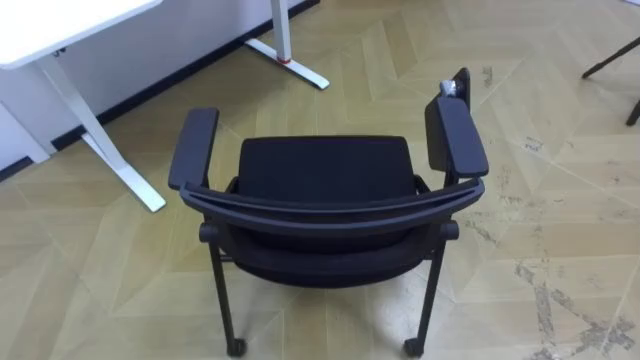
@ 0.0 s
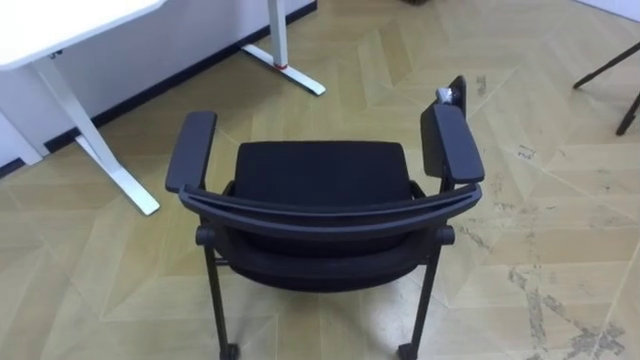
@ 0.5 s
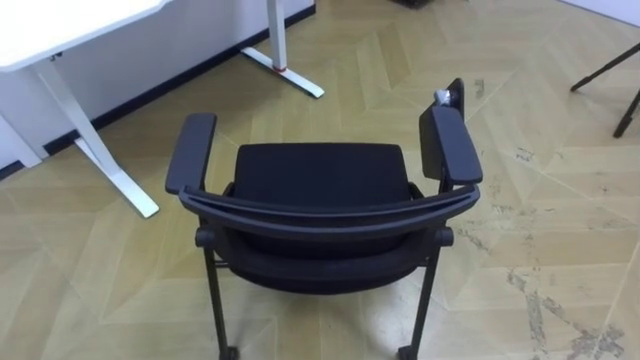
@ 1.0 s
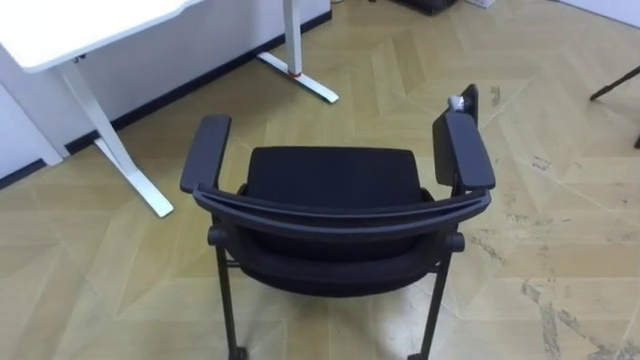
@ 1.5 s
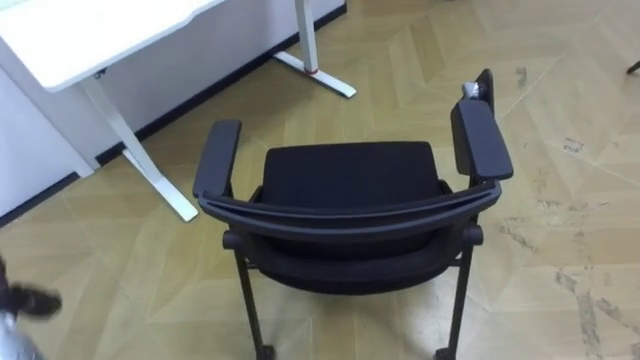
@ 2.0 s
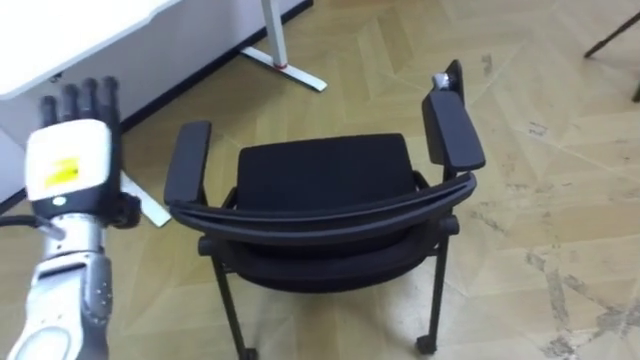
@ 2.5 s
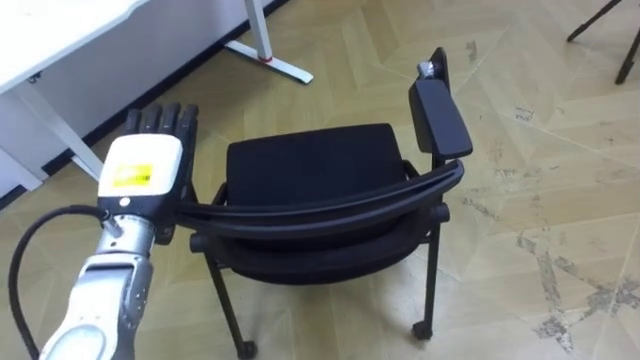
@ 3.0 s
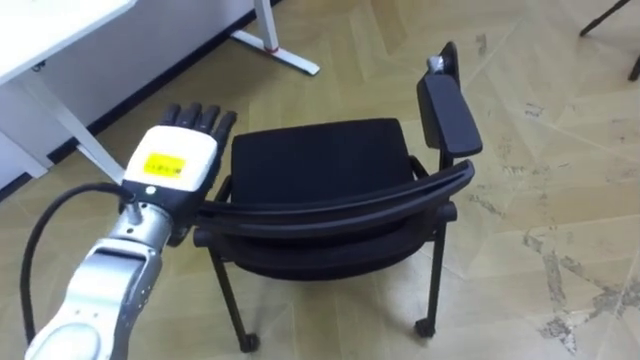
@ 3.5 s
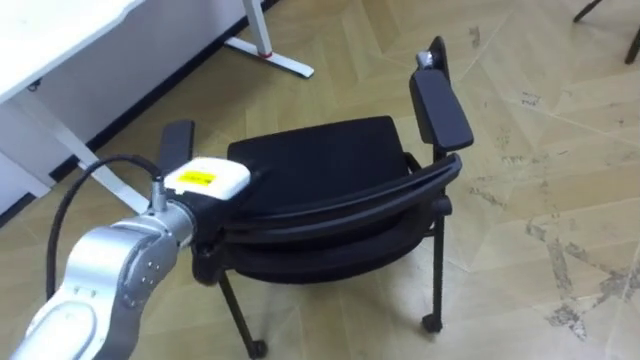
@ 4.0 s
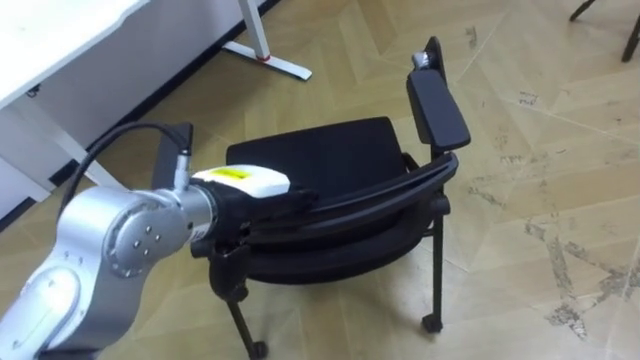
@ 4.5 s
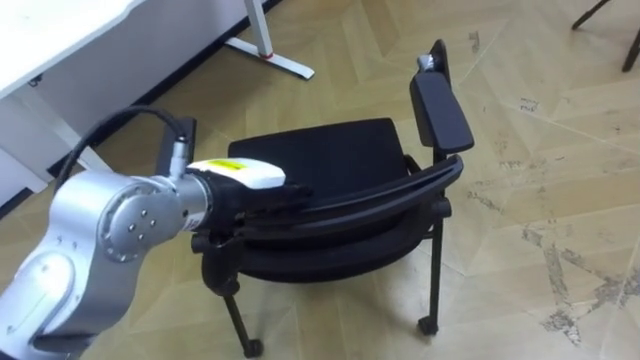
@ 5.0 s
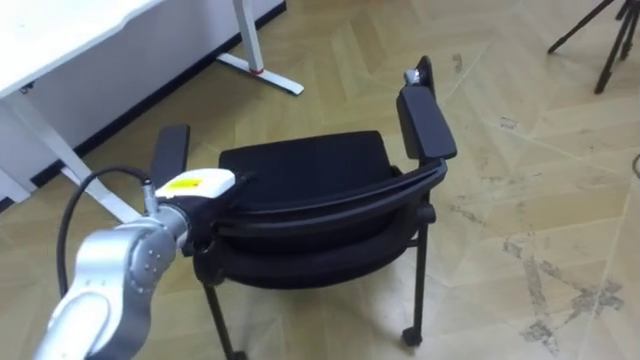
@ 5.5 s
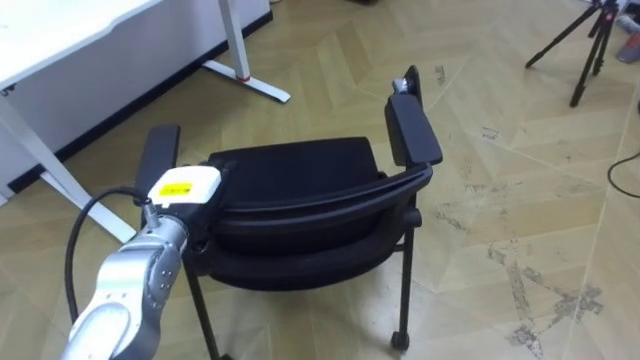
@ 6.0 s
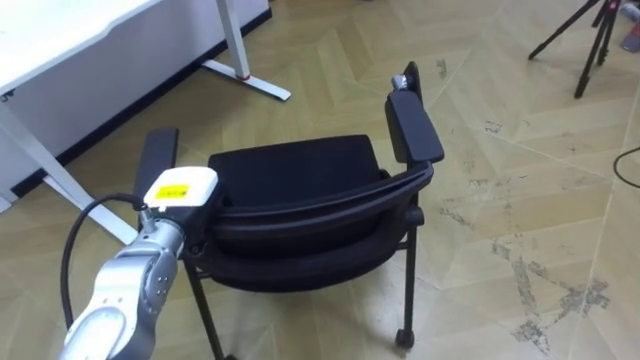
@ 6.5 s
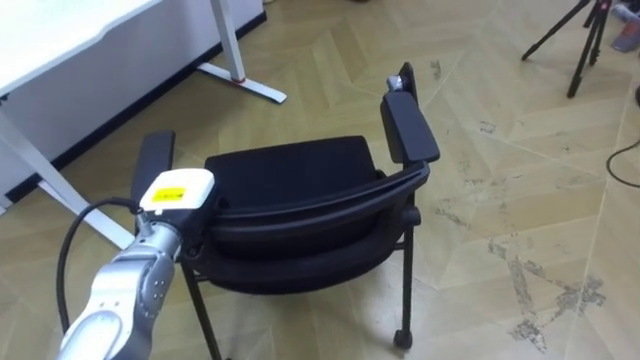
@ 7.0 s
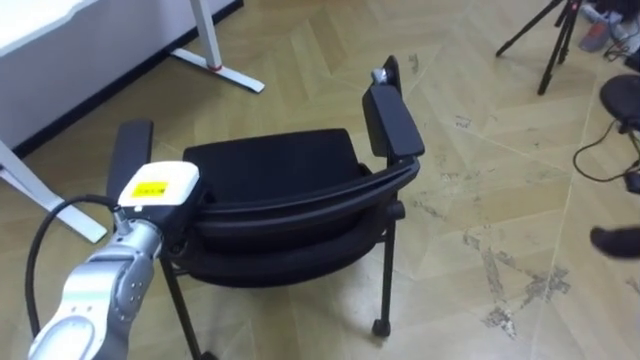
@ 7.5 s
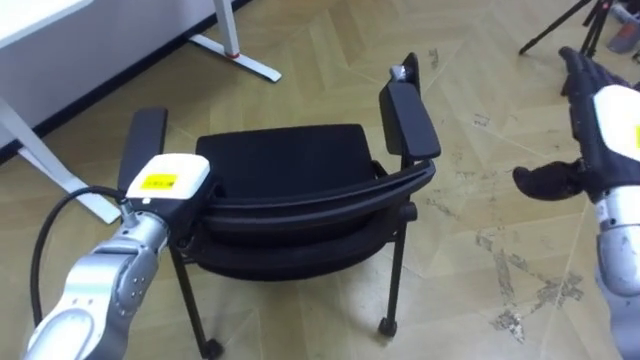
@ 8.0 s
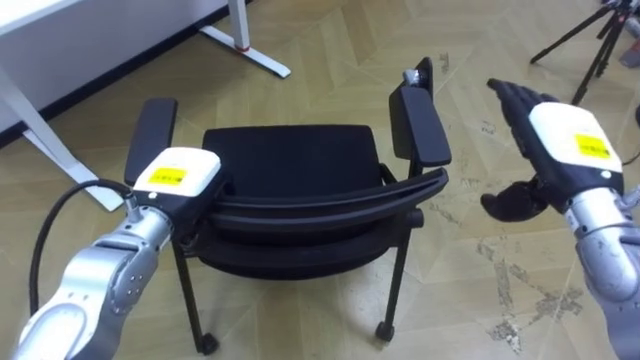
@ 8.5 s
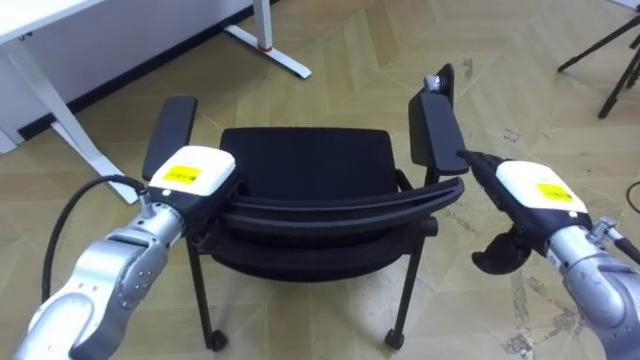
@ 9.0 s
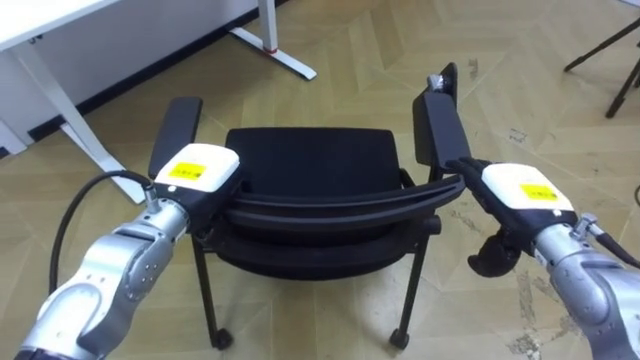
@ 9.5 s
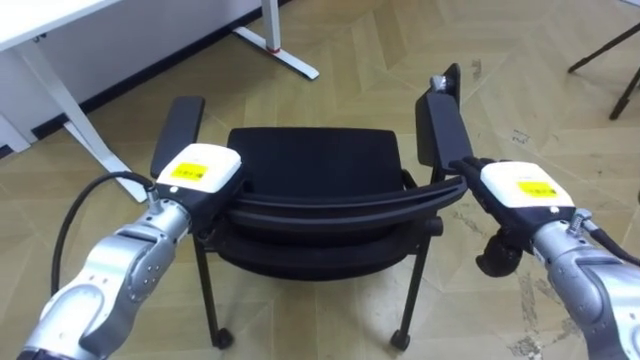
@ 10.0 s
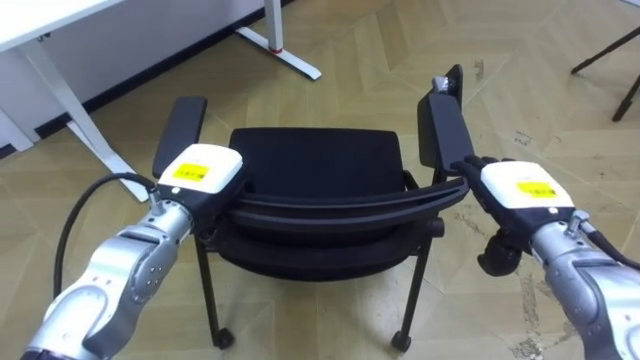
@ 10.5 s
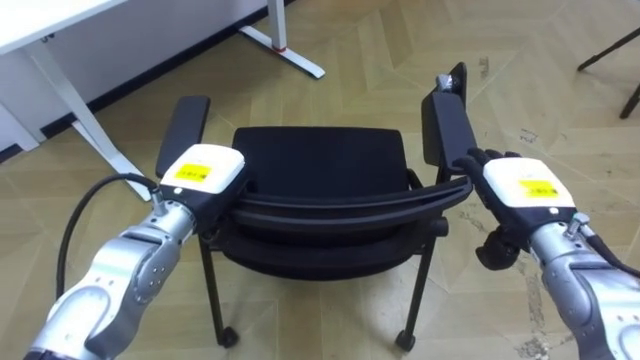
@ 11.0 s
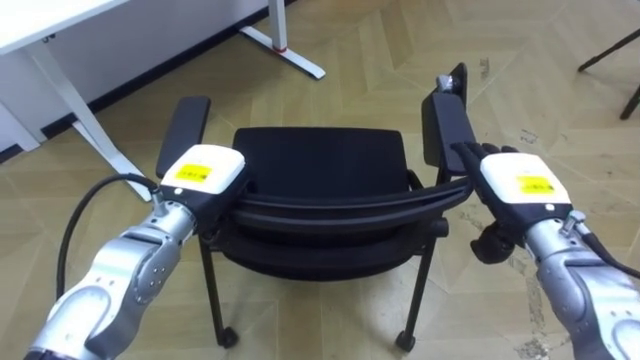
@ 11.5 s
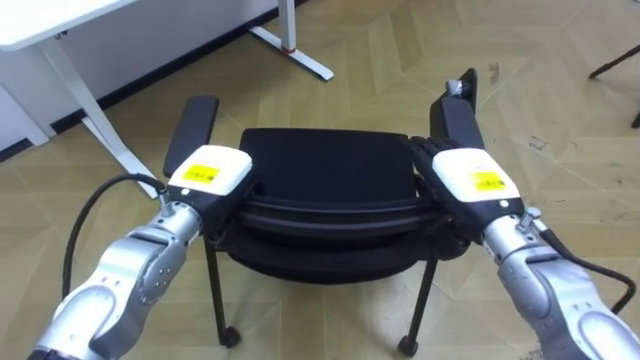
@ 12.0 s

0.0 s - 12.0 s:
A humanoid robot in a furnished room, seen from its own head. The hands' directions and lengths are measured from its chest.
Task of the whole recording: Push the chair under the table.
4.0 s - 6.0 s: The left hand is displaced downward by about 5 cm.
6.0 s - 8.0 s: The left hand closes its fingers.
8.0 s - 10.0 s: The right hand shifts some 10 cm downward and to the left.
10.0 s - 12.0 s: The right hand heads to the left, covering roughly 5 cm.

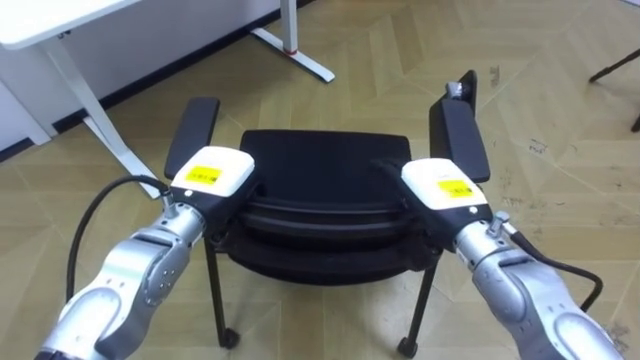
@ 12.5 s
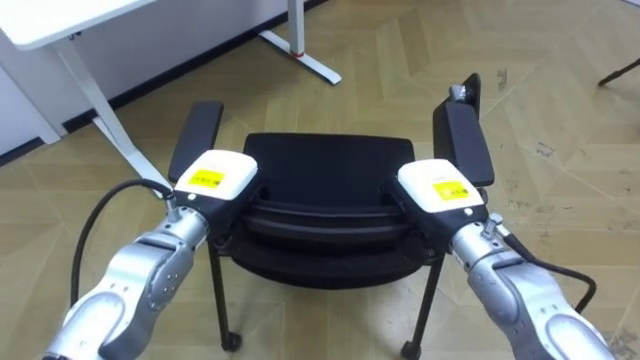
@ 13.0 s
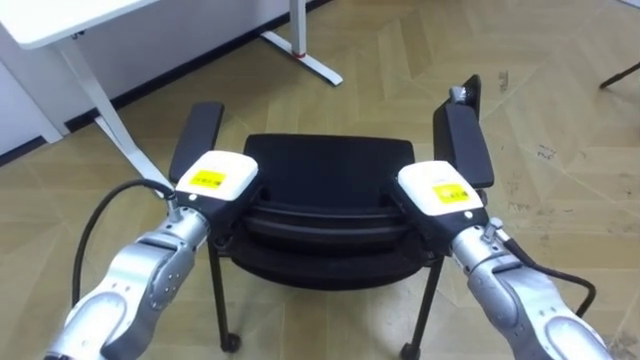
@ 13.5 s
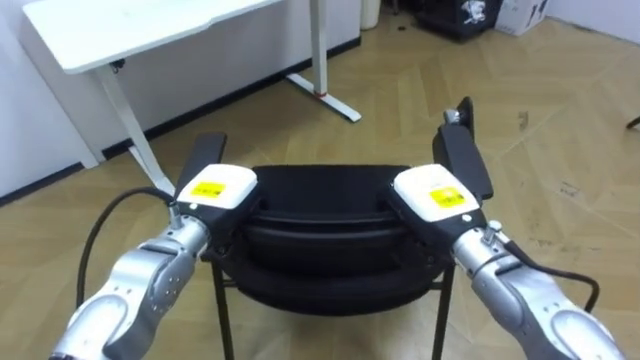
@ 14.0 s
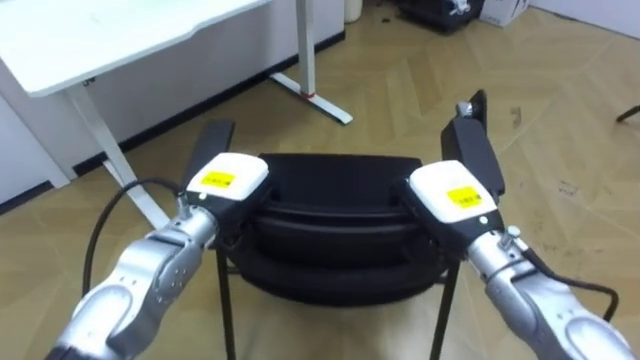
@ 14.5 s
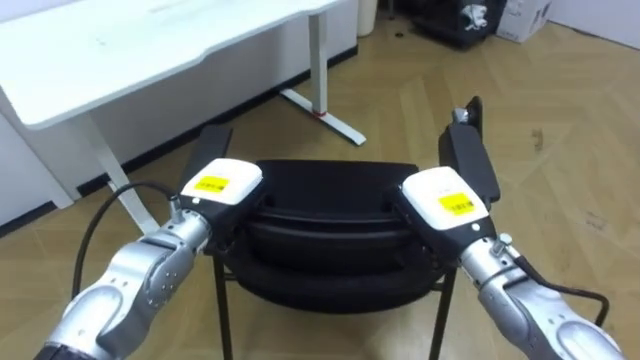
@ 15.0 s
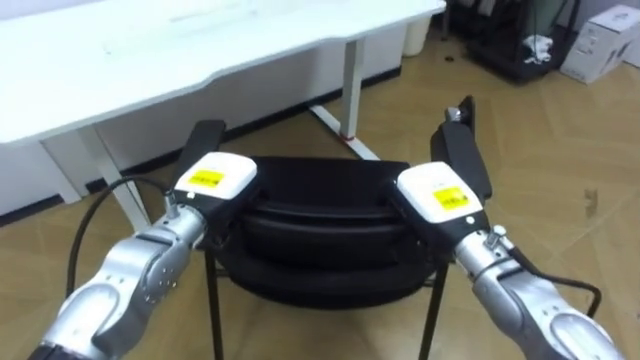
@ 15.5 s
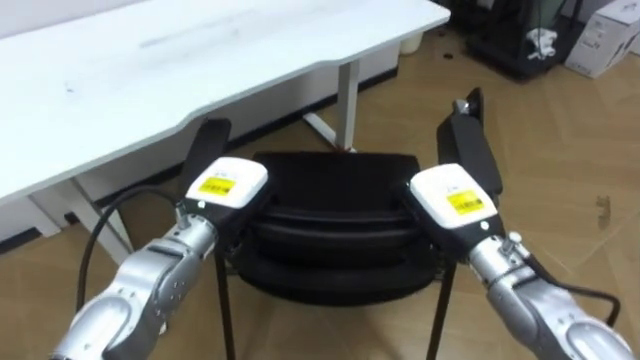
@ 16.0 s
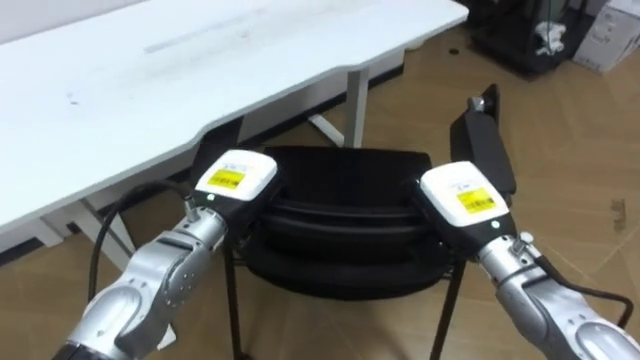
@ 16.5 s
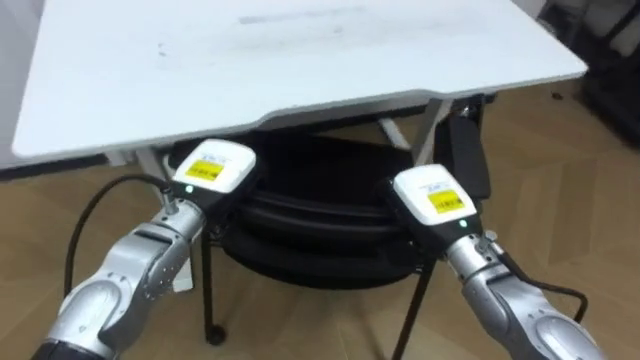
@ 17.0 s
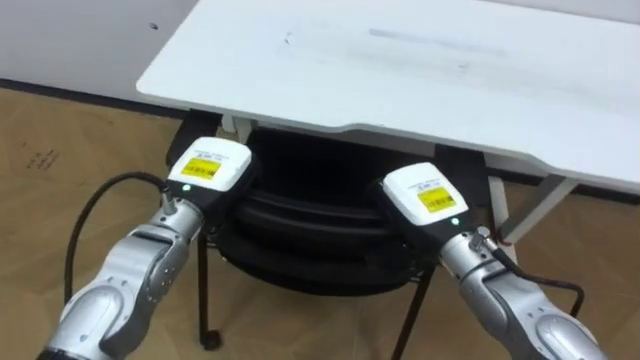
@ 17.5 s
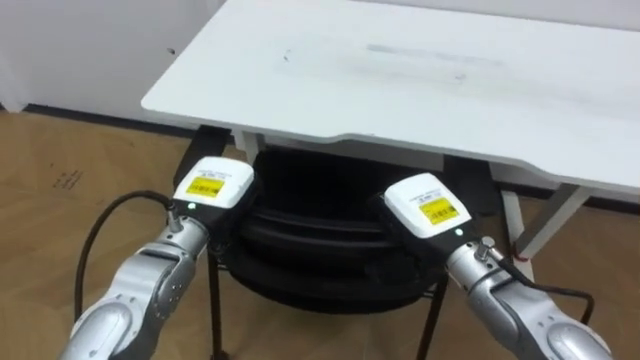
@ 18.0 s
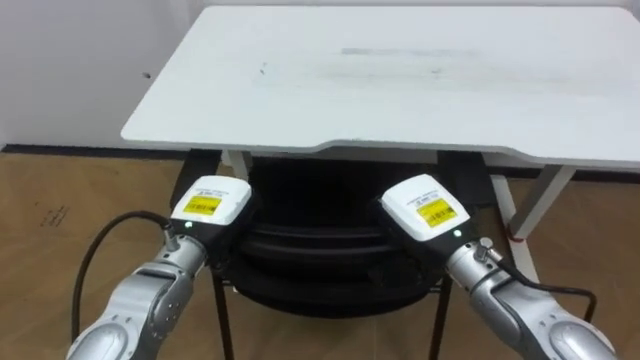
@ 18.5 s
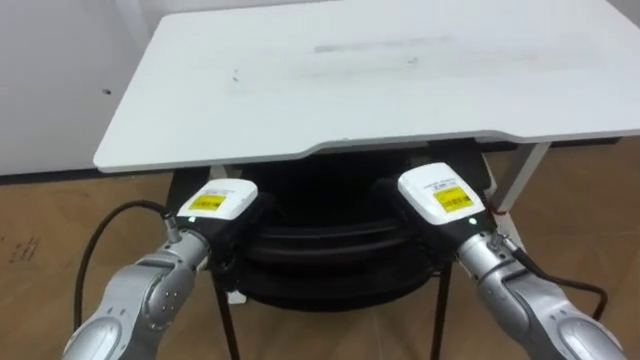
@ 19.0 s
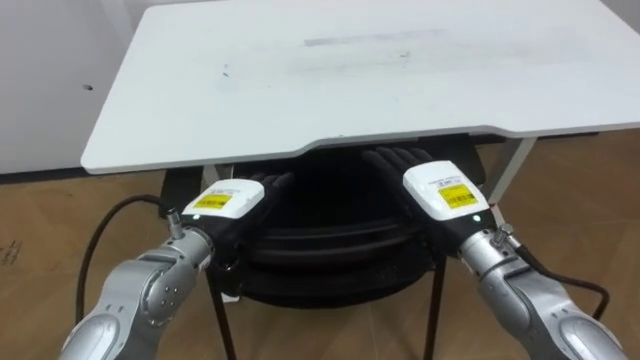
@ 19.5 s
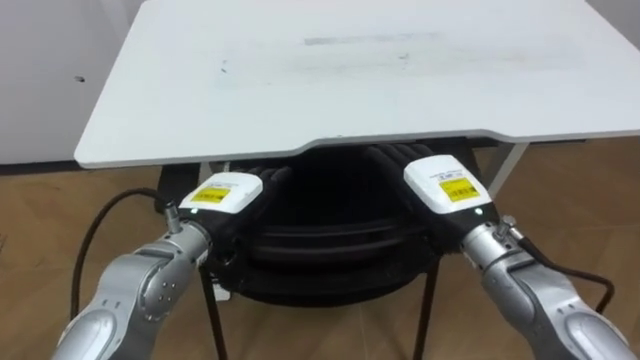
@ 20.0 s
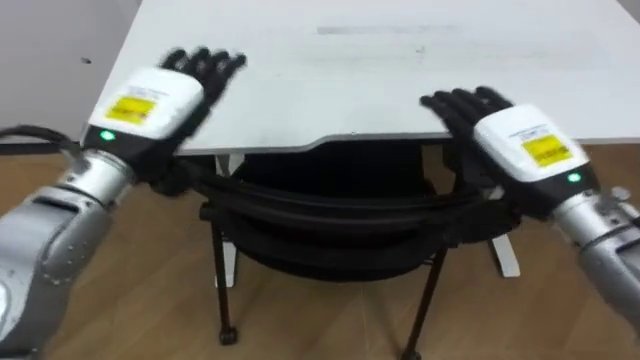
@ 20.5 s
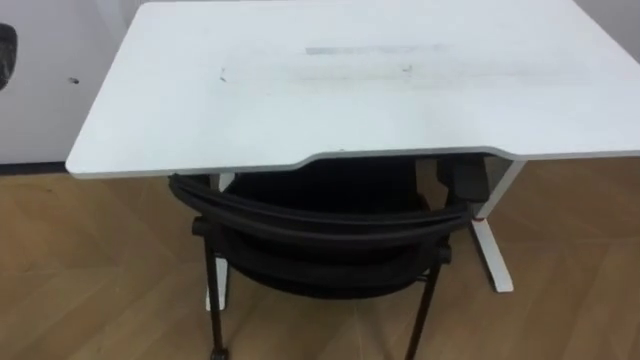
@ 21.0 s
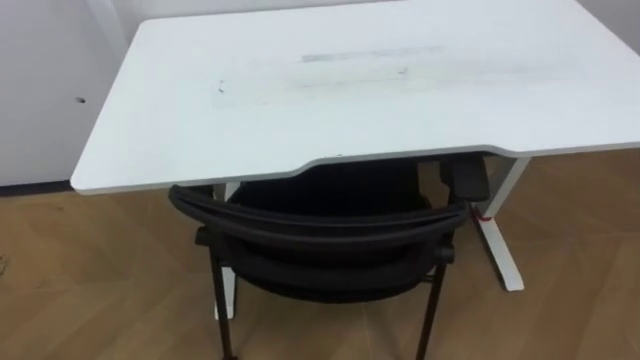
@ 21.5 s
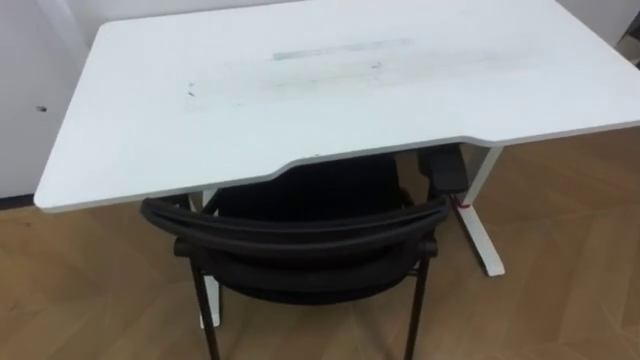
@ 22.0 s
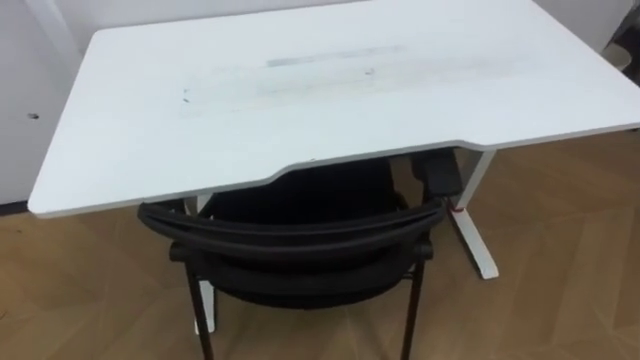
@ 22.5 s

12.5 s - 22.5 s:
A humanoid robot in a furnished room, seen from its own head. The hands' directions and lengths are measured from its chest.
Task of the whole recording: Push the chair under the table.
12.5 s - 14.5 s: The right hand closes.
16.5 s - 18.5 s: The robot turns to its left by roughly 35 degrees.
18.5 s - 20.5 s: The right hand travels upward and to the right by some 10 cm, and opens. The left hand moves upward, some 15 cm, and opens its fingers.
